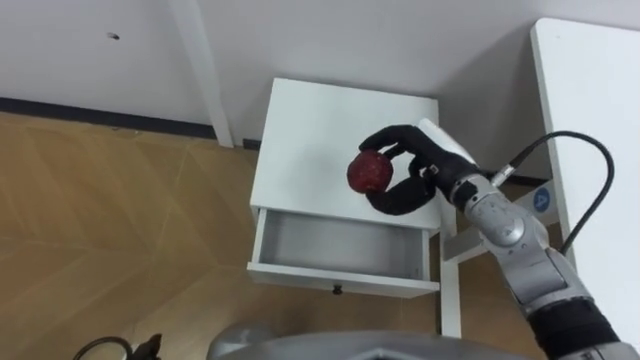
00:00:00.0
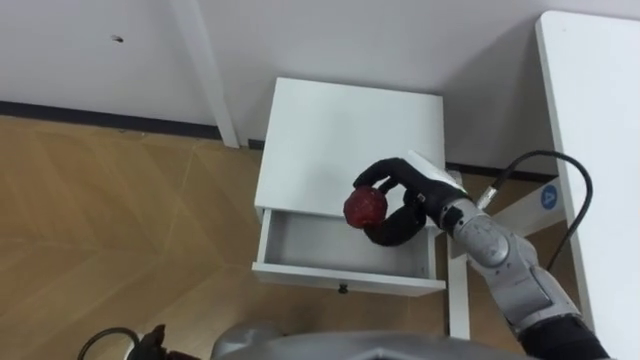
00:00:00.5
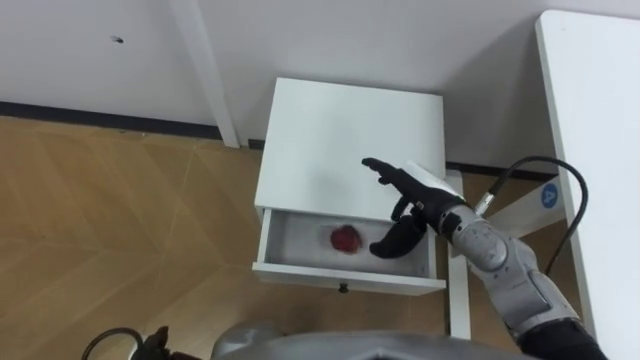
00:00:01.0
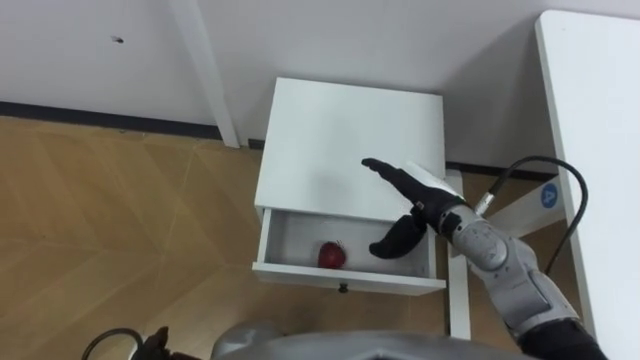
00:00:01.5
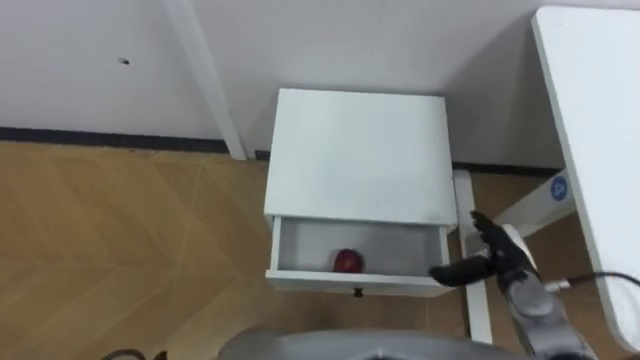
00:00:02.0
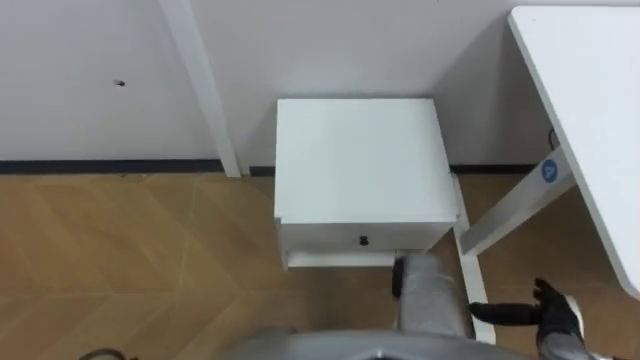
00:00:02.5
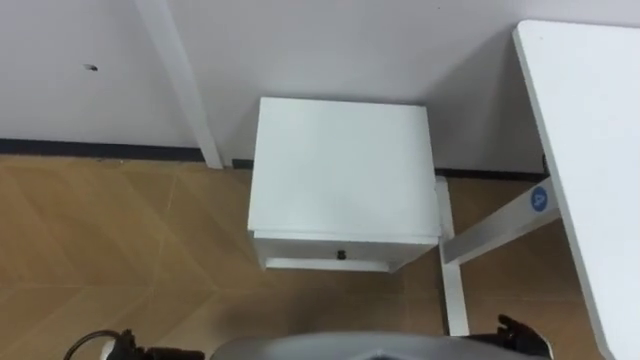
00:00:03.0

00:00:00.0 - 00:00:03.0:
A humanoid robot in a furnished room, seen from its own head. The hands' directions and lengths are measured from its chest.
Task of the whole recording: Pick up the apple from the table, put it in the drawer, and close the drawer with leg.
00:00:00.0 - 00:00:01.5: The right hand changes place by about 5 cm, and opens up.
00:00:01.5 - 00:00:03.0: The right hand shifts some 30 cm backward, downward and to the right.

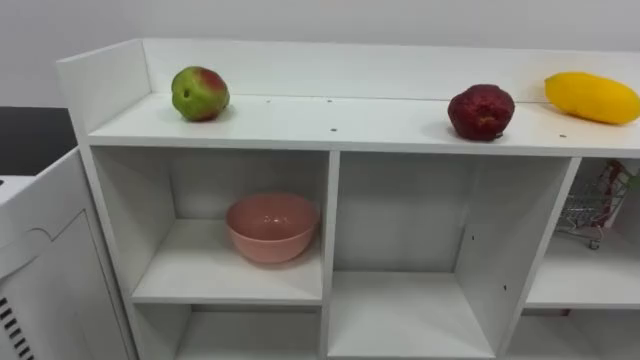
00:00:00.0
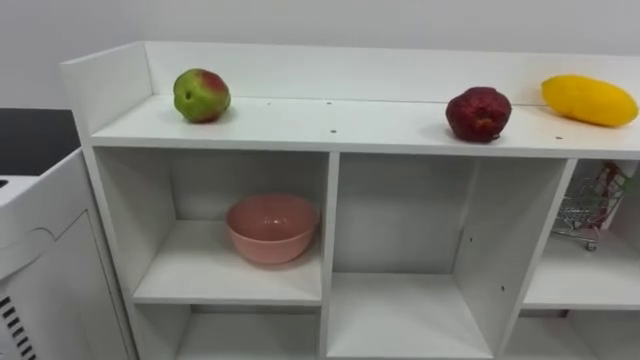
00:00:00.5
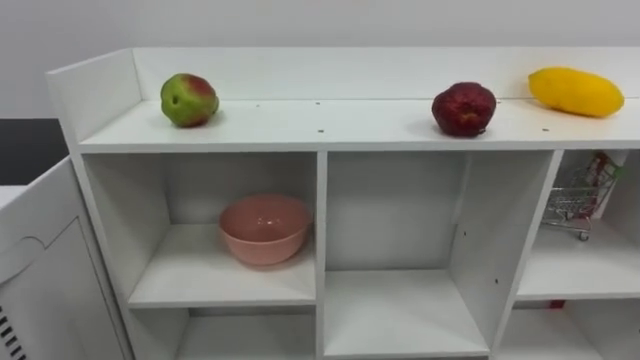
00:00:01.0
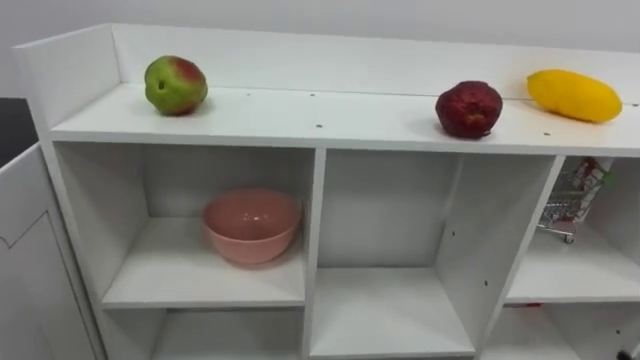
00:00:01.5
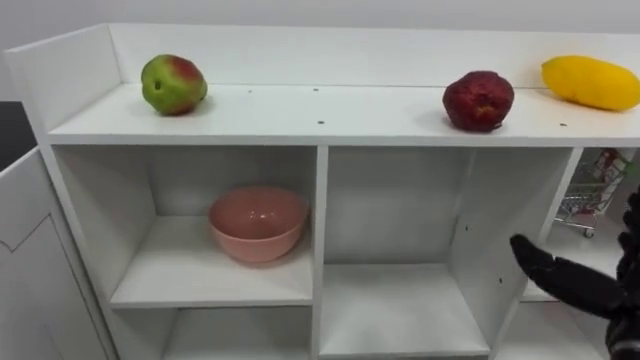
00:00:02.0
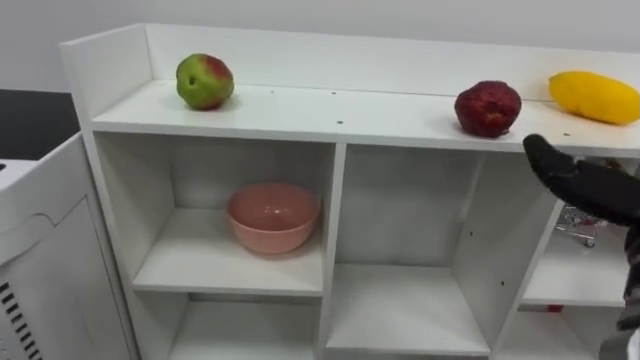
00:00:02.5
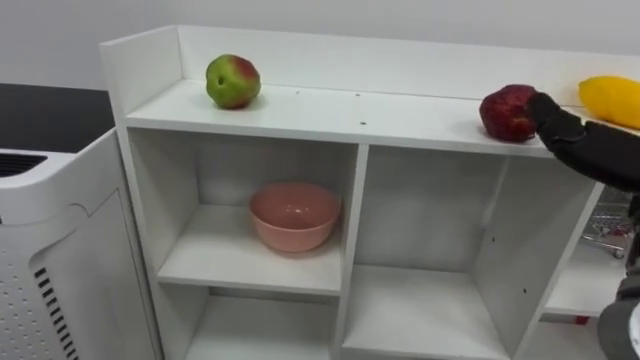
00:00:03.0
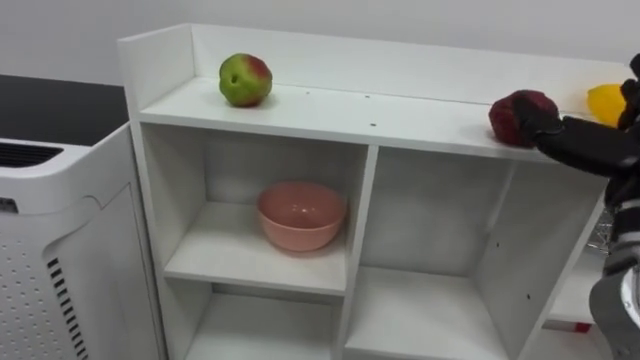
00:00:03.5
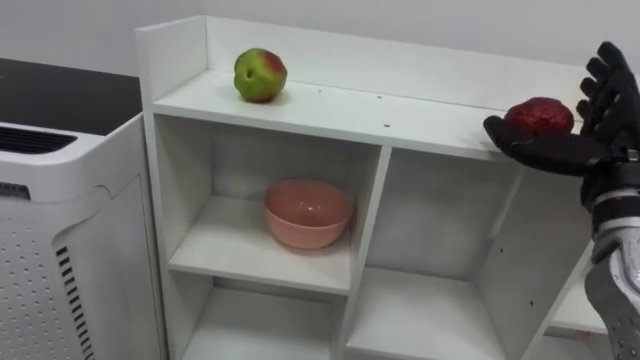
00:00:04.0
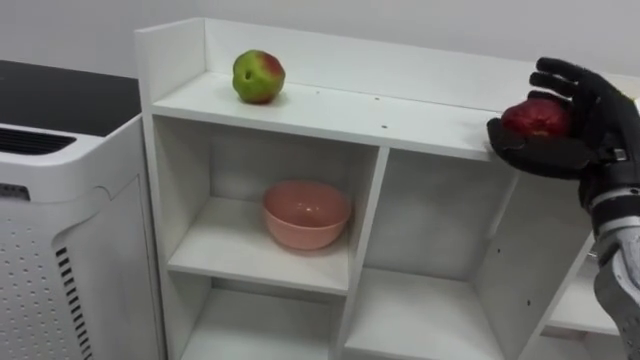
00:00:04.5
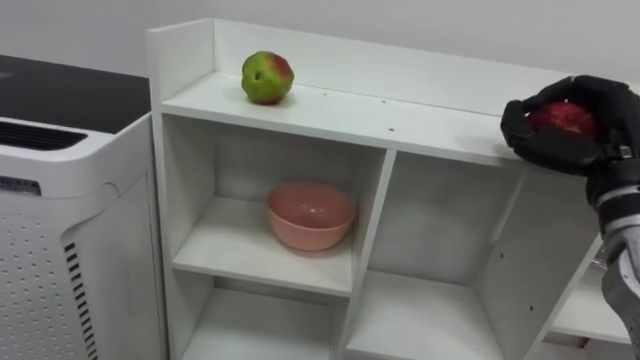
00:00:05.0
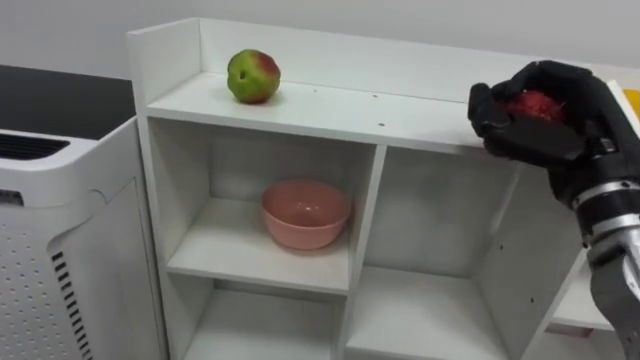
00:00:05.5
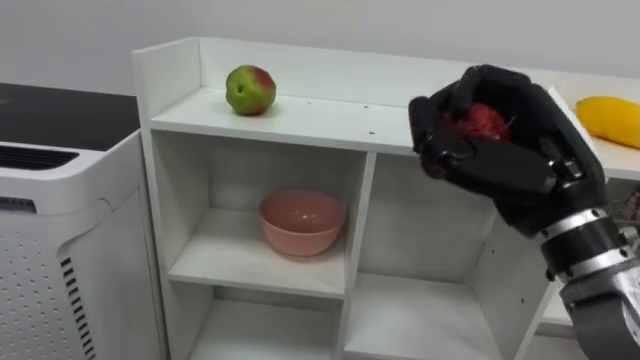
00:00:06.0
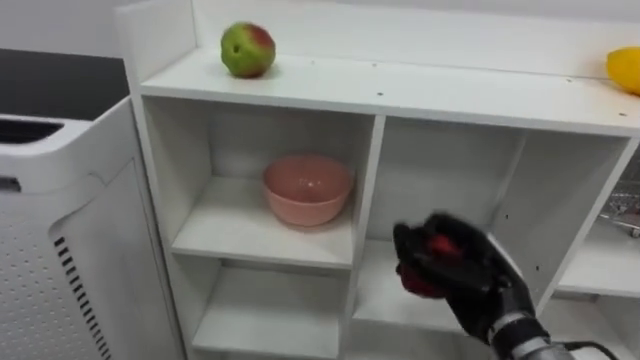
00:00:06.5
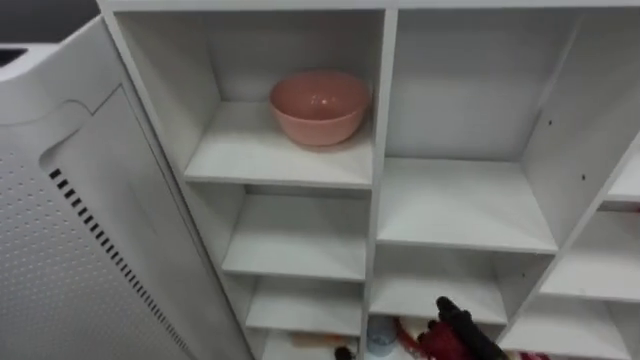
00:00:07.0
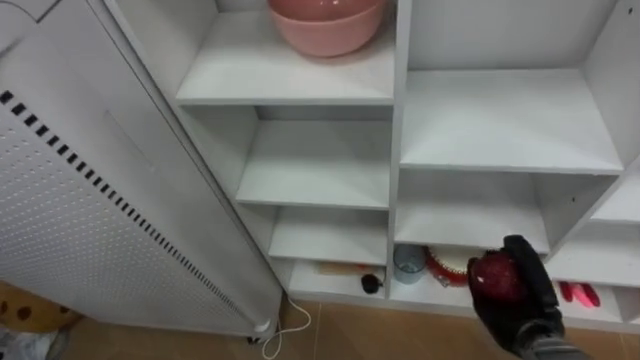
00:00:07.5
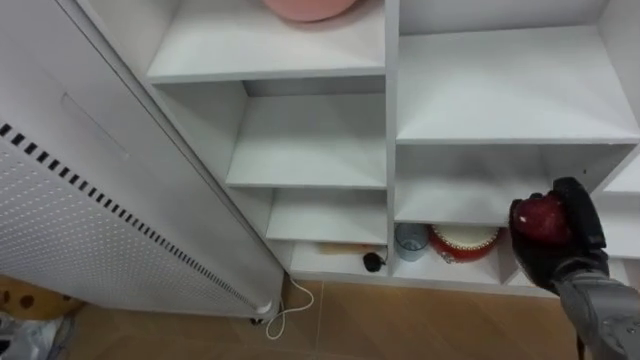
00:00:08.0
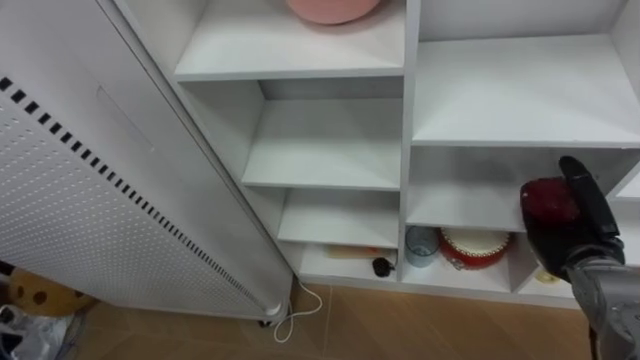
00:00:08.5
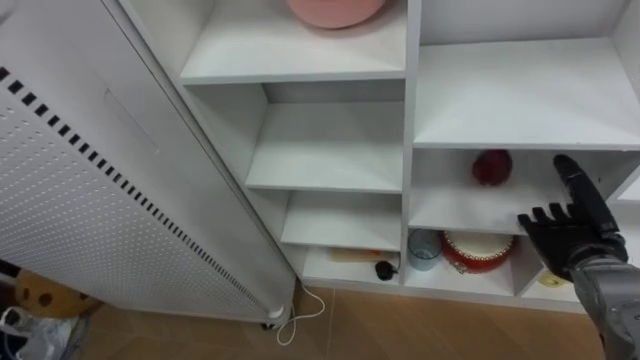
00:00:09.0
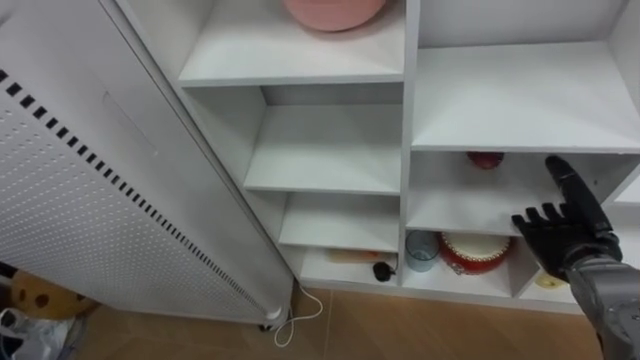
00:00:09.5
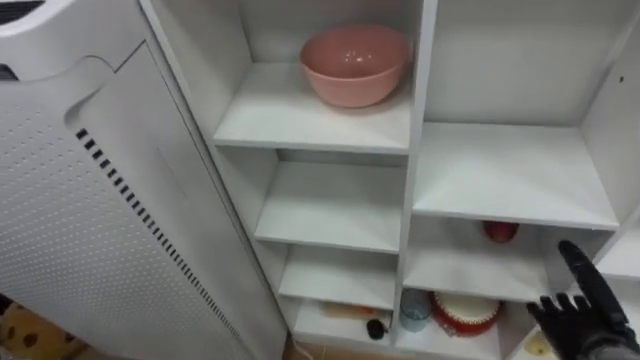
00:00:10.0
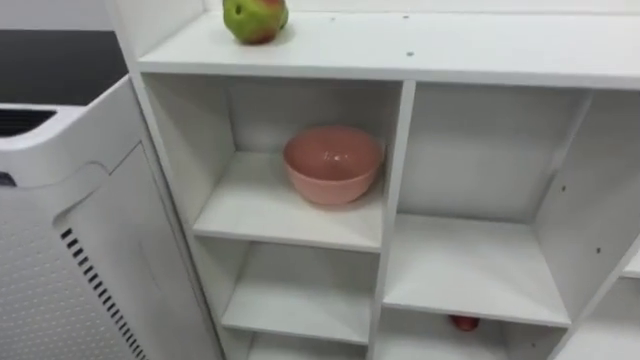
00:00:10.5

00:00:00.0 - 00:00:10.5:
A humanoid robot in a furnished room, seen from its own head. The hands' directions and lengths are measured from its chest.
Task of the whole recording: Put the apple in the cell in the second column from the left and the second row from the top.
00:00:04.0 - 00:00:06.5: The right hand shifts some 15 cm downward and to the left, and closes.

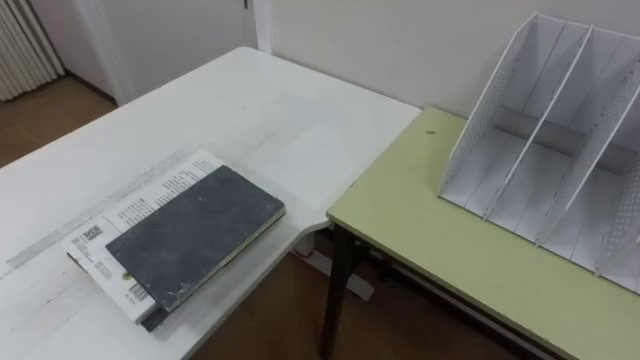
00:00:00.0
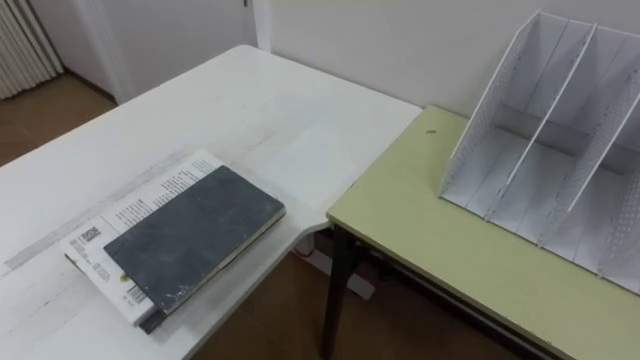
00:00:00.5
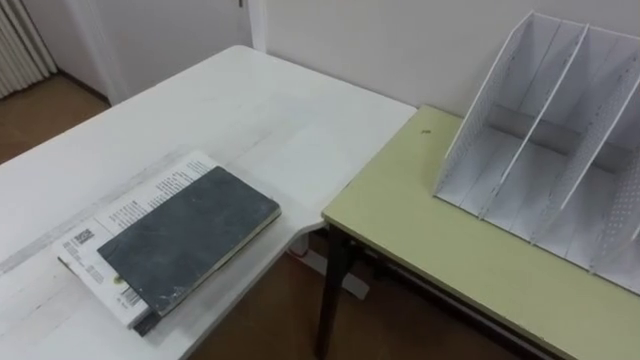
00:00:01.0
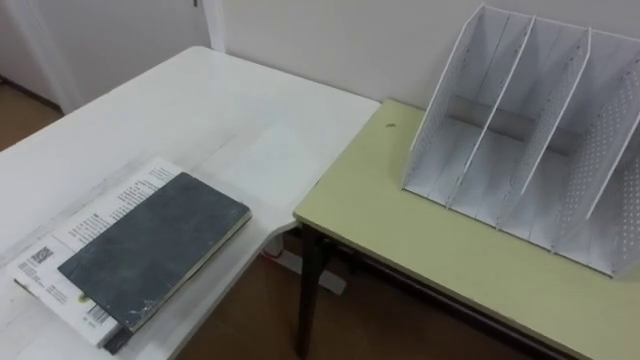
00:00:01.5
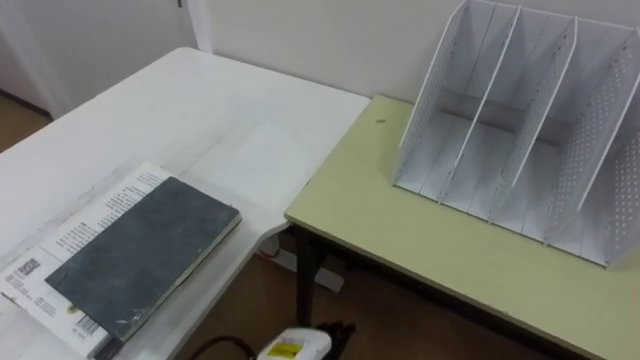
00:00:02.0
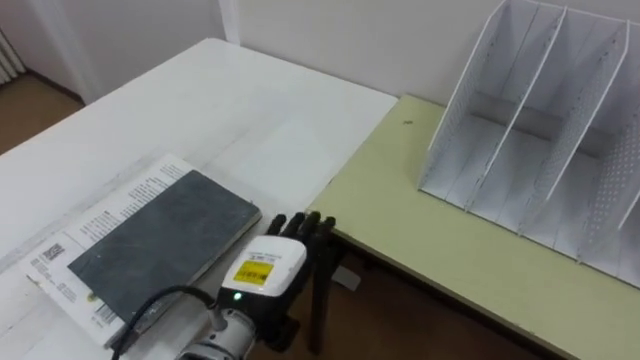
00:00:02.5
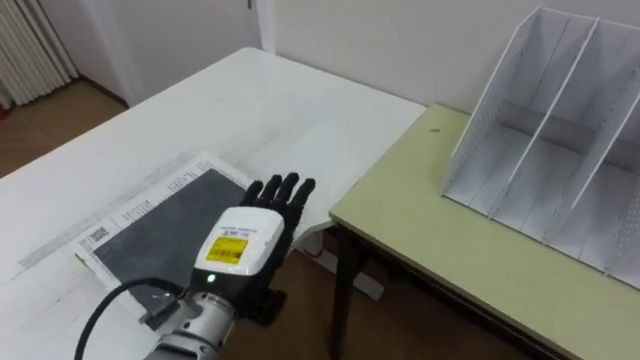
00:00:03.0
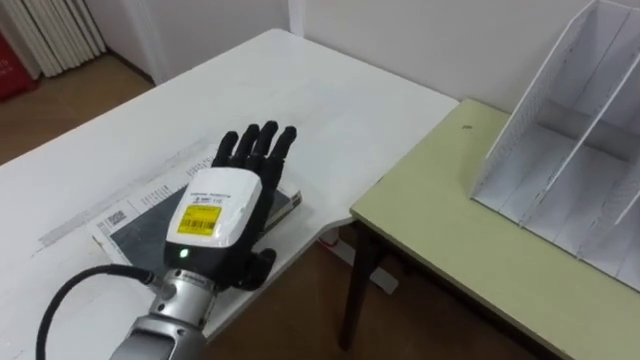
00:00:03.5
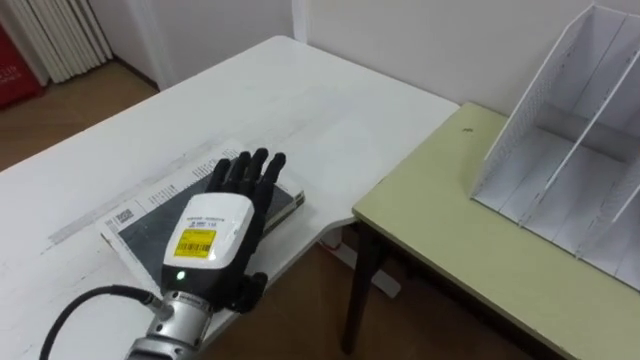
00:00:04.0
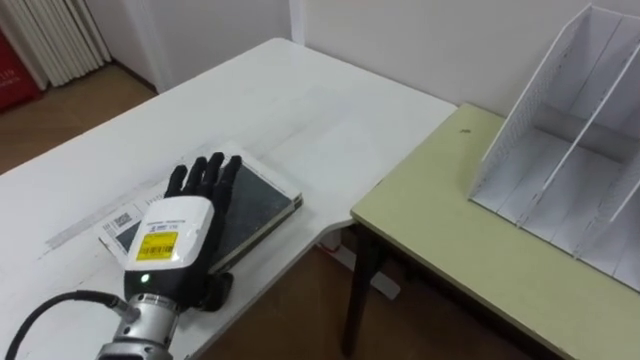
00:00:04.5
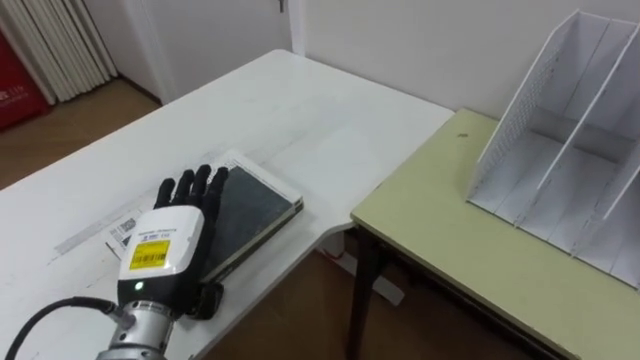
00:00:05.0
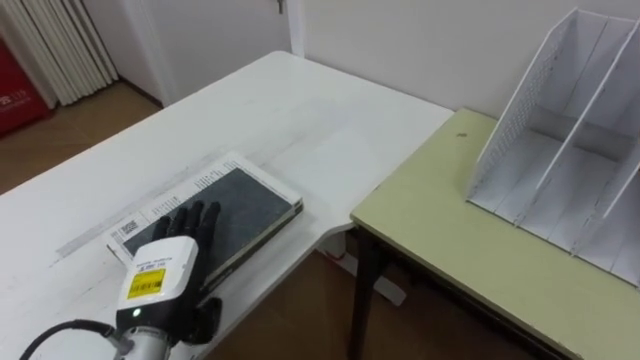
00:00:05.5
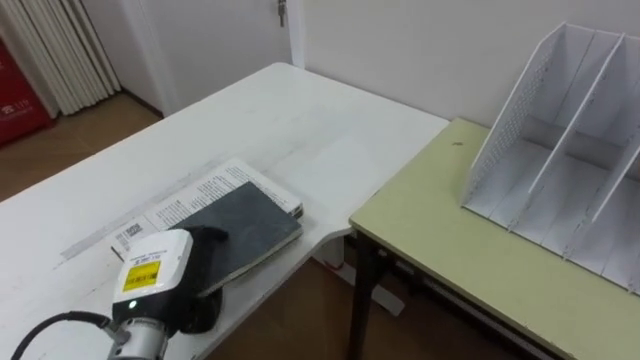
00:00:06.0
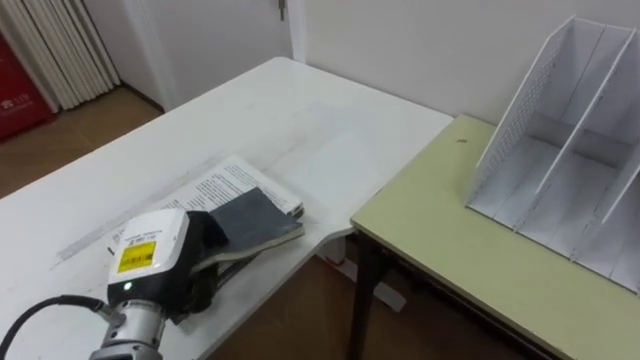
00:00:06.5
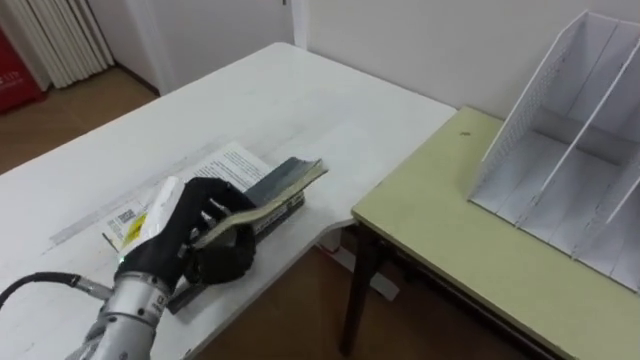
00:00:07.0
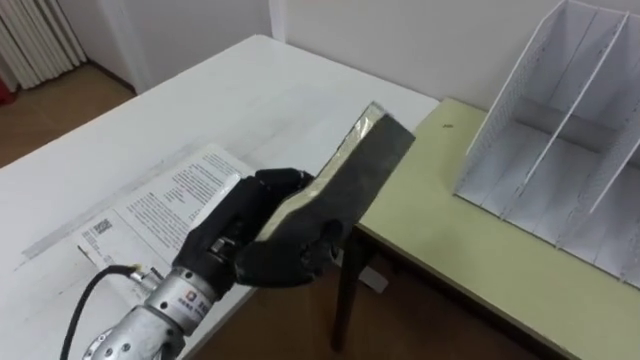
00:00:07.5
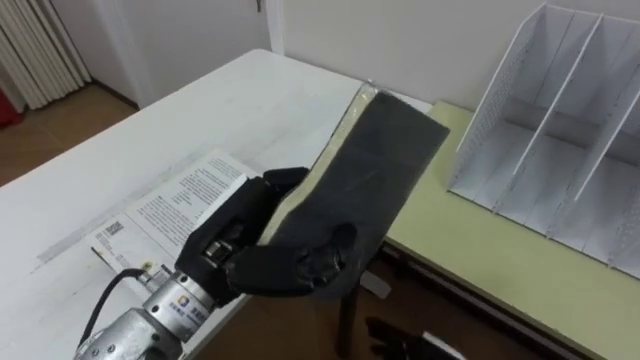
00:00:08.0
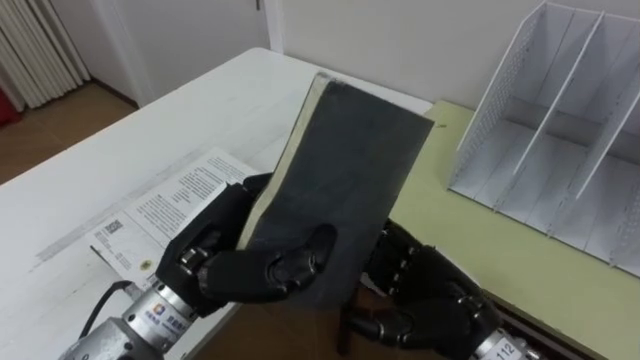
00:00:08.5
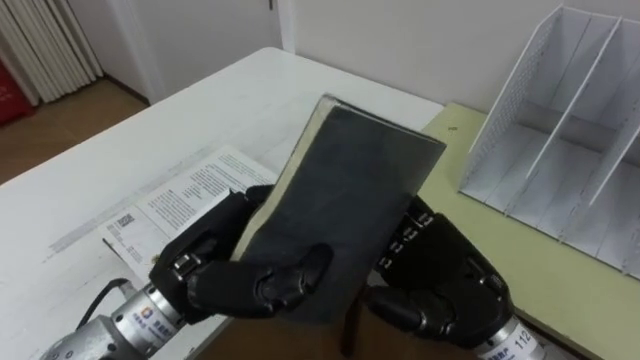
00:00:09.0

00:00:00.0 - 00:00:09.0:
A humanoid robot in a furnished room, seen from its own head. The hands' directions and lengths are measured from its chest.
Task of the whole recording: Put the books on the table onto the bookshelf.
00:00:04.5 - 00:00:07.0: The left hand closes its fingers.
00:00:07.0 - 00:00:09.0: The left hand shifts some 5 cm to the right.
